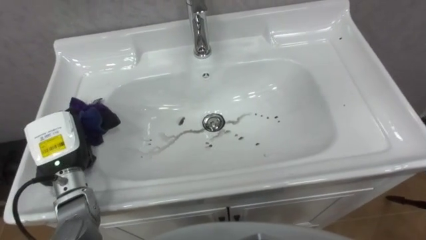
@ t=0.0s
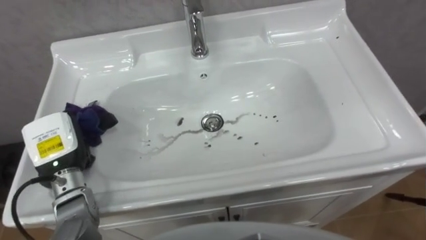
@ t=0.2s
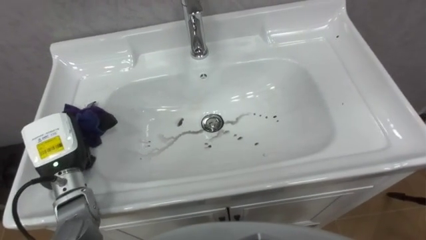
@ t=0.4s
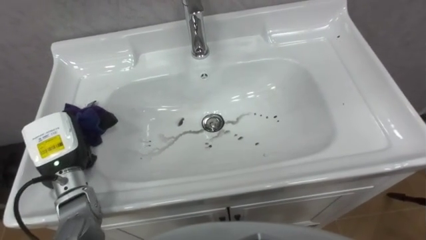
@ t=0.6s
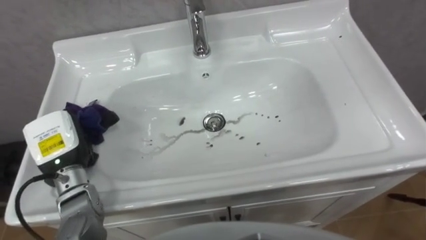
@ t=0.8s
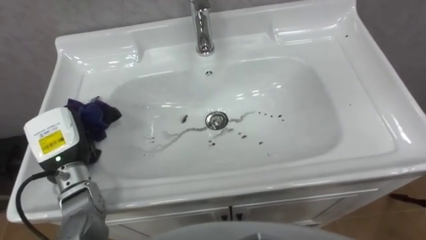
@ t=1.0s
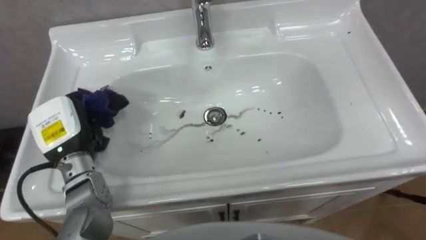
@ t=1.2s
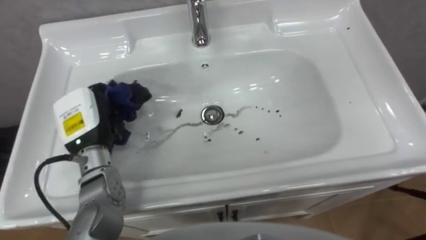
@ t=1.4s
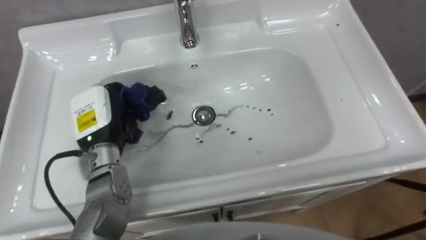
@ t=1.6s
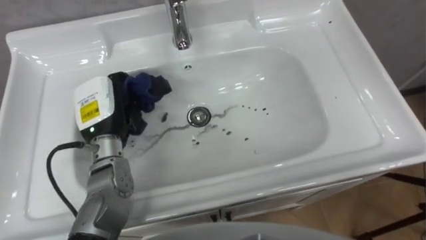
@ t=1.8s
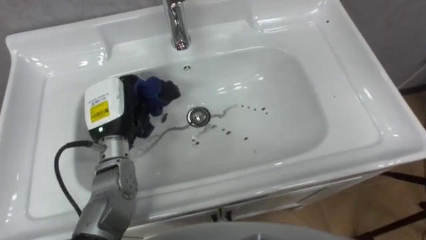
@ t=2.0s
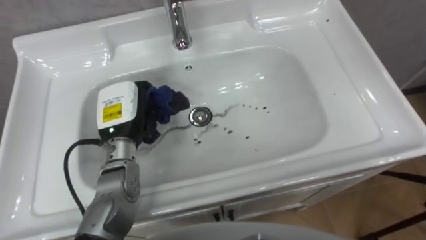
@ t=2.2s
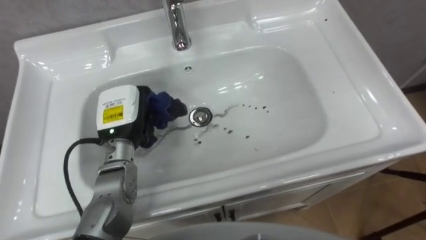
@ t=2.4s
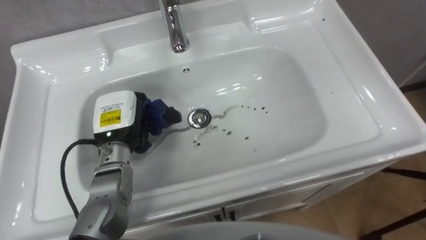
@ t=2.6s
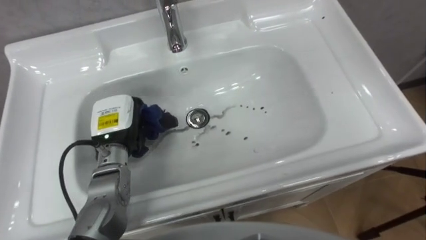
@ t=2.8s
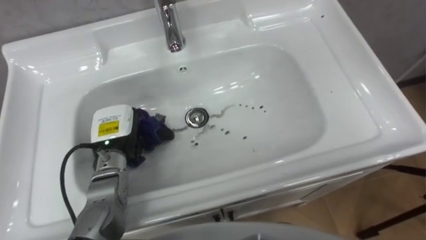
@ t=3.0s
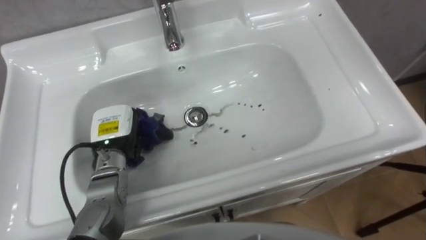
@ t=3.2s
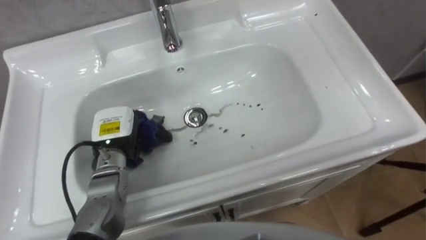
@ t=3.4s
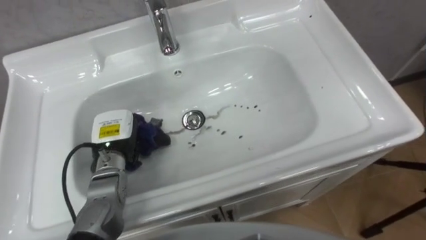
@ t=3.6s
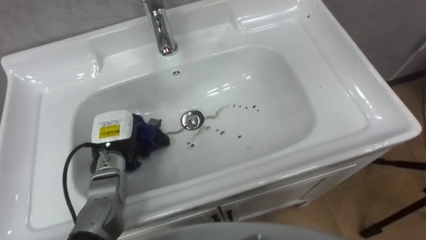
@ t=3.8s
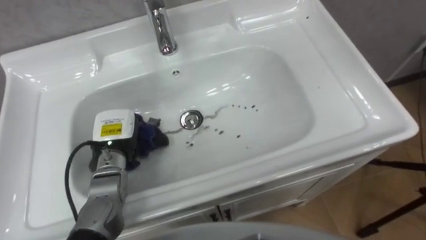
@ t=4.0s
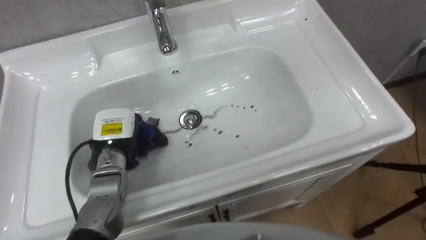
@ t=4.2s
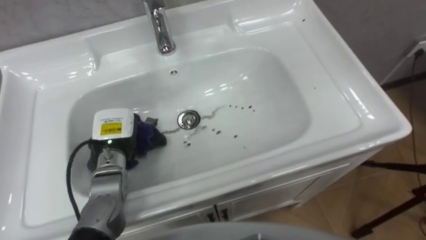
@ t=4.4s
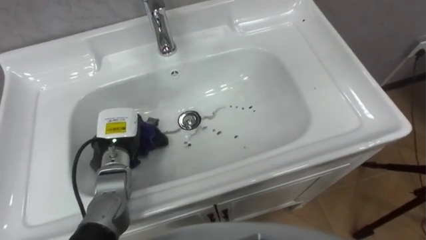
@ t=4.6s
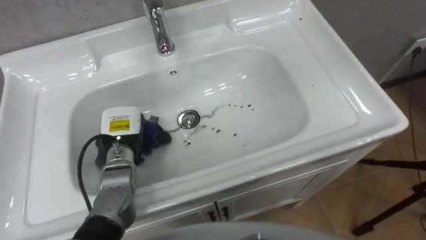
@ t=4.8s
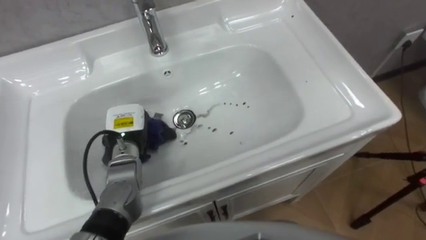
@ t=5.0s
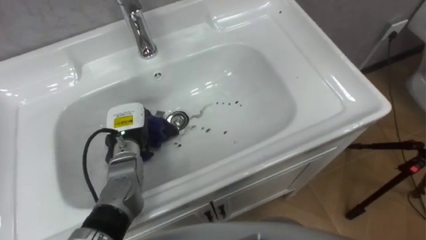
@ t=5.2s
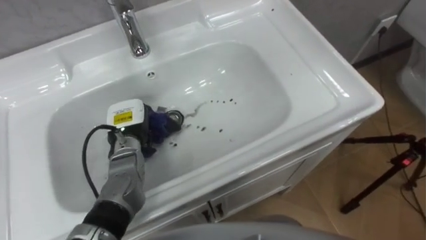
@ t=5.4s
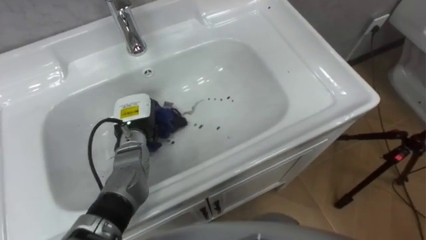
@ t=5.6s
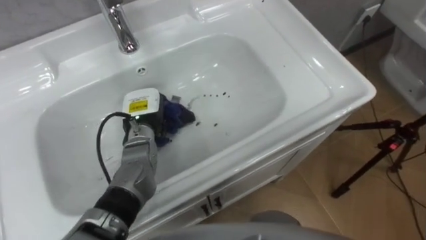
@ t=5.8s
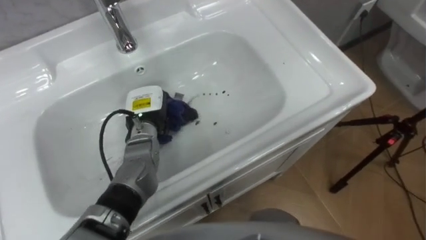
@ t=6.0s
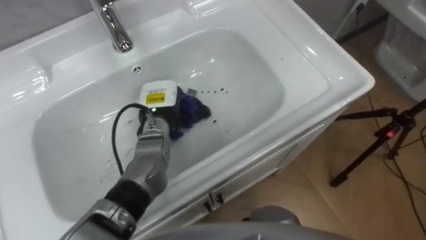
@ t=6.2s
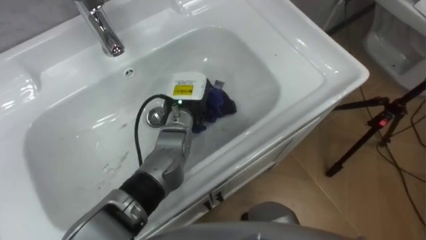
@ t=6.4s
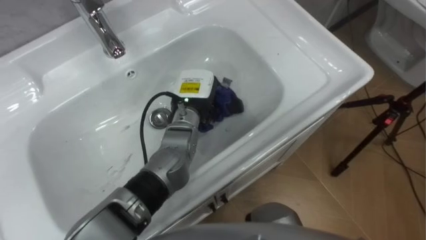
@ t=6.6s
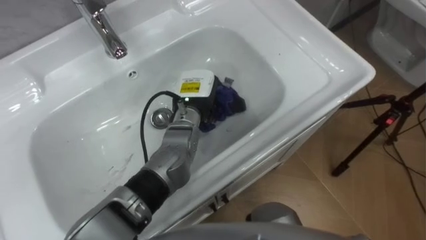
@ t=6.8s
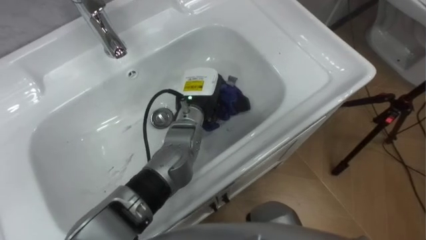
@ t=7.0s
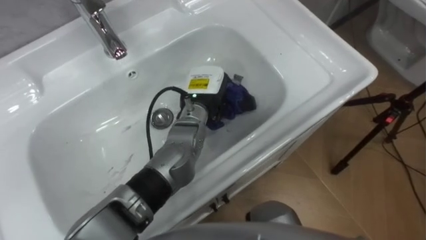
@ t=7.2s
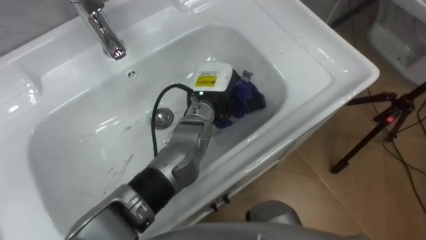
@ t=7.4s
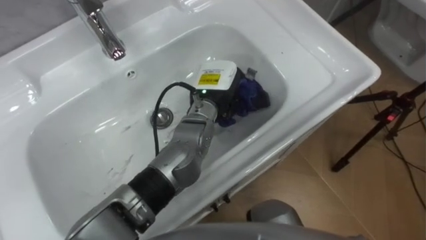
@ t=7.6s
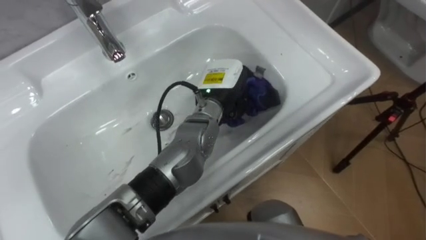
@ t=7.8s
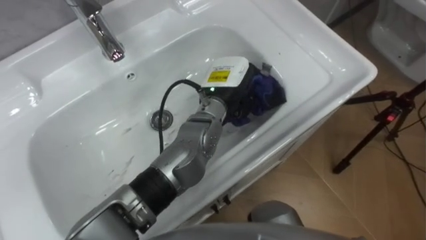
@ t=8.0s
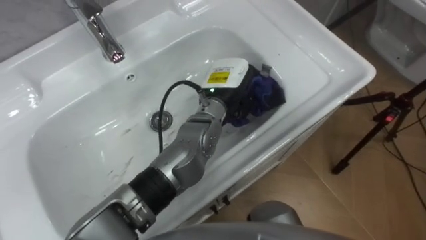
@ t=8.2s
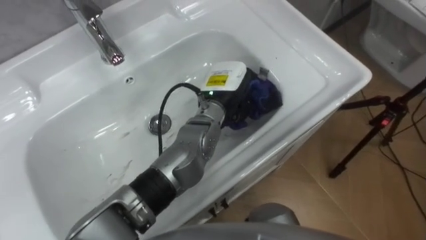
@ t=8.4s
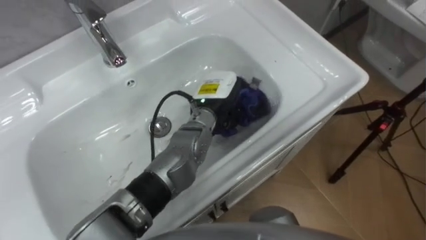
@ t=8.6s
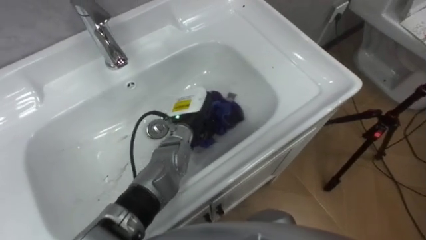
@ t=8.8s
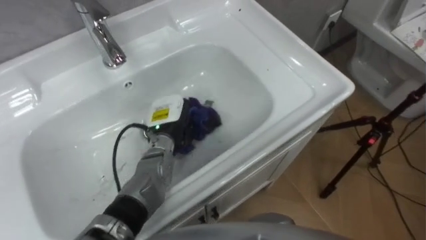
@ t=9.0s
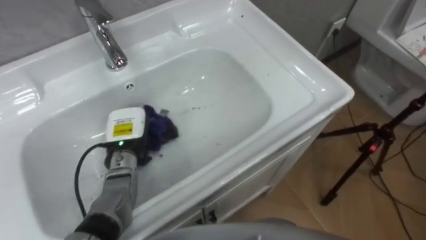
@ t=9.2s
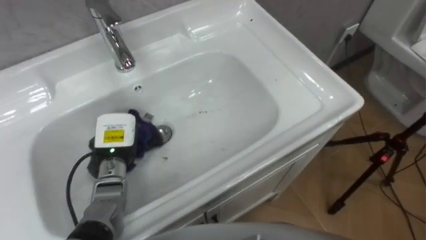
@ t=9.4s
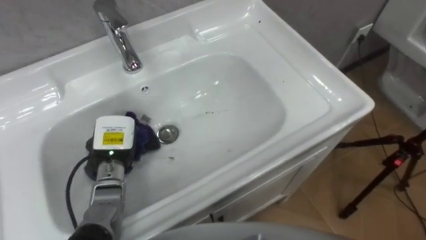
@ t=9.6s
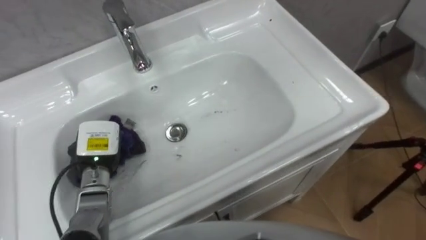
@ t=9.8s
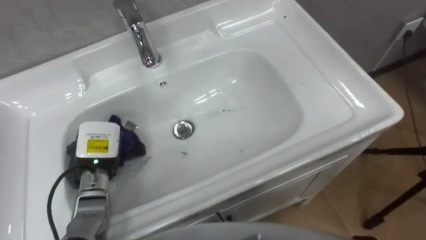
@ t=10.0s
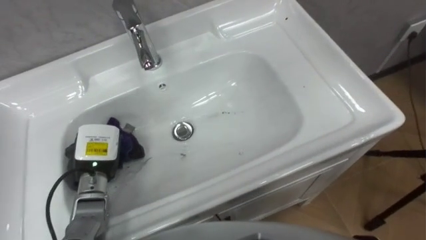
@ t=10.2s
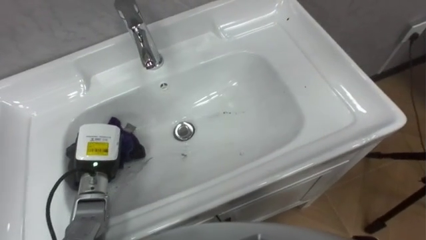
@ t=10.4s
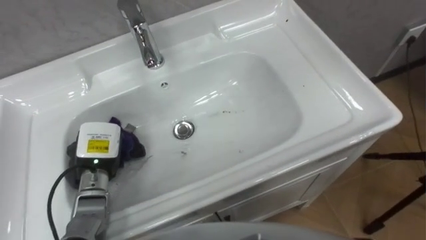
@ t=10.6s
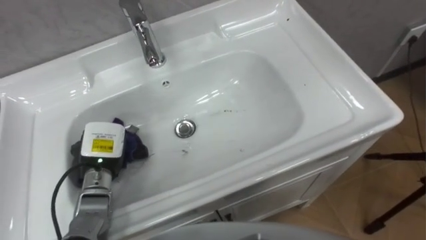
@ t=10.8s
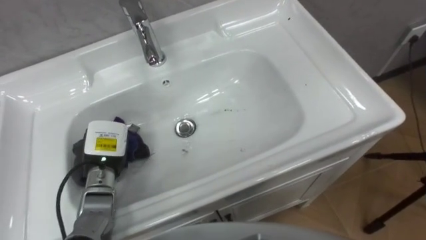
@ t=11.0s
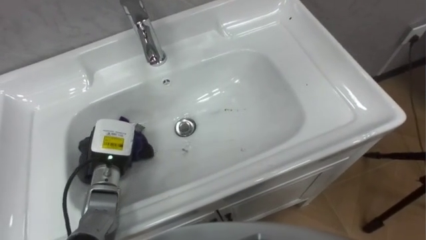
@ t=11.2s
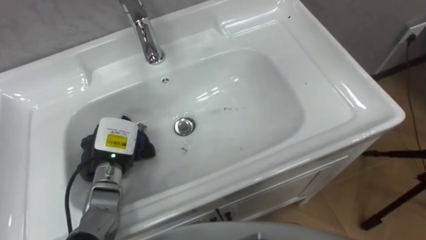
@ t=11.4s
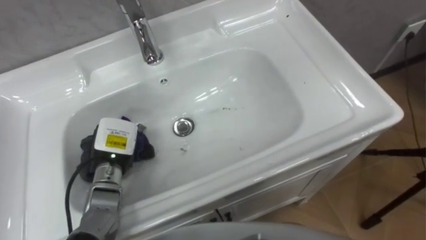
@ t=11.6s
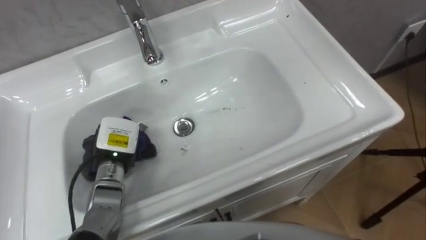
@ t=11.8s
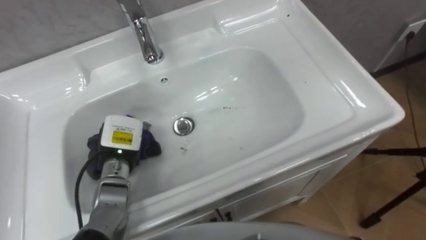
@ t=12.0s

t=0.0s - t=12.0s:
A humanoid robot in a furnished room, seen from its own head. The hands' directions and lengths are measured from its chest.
Task of the whole recording: Use the cloth on the right to wipe away the black stain in the sink.
t=0.0s - t=1.6s: The left hand shifts roughly 5 cm to the right.
t=1.6s - t=3.0s: The left hand is displaced downward by approximately 5 cm.
t=4.4s - t=6.0s: The left hand shifts some 10 cm to the right and forward.
t=6.0s - t=7.6s: The left hand shifts some 15 cm to the right and upward.
t=7.6s - t=9.0s: The left hand shifts roughly 15 cm to the left and downward.
t=9.0s - t=10.4s: The left hand shifts approximately 15 cm to the left and backward.
t=10.4s - t=12.0s: The left hand ends up approximately 5 cm from where it was.

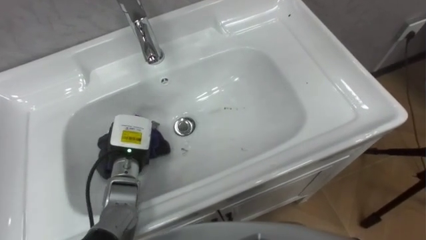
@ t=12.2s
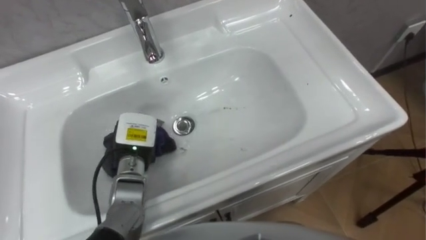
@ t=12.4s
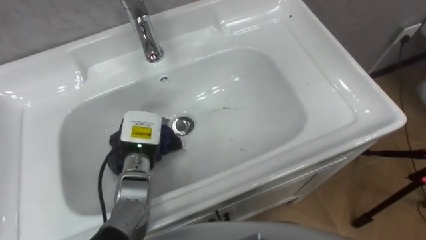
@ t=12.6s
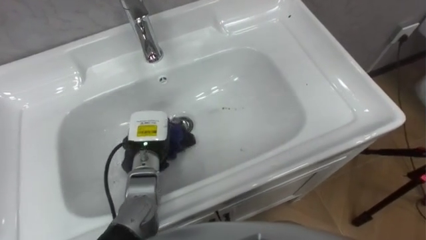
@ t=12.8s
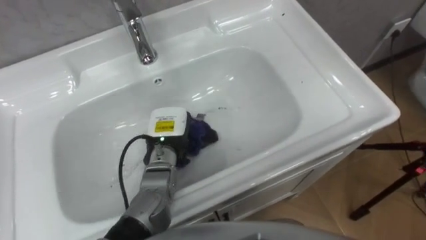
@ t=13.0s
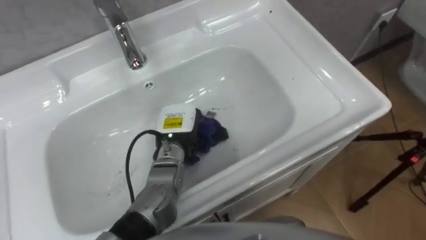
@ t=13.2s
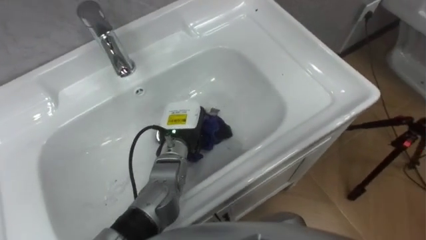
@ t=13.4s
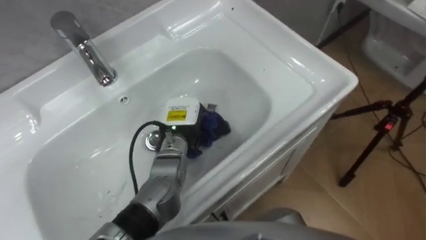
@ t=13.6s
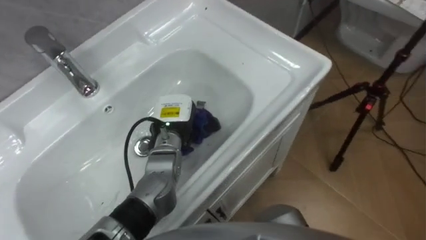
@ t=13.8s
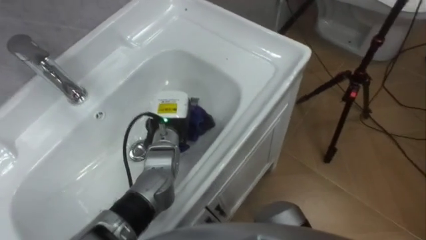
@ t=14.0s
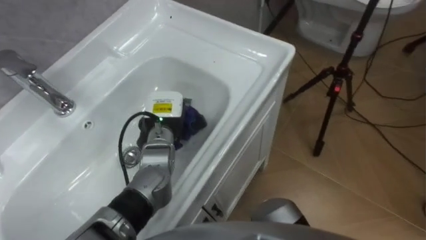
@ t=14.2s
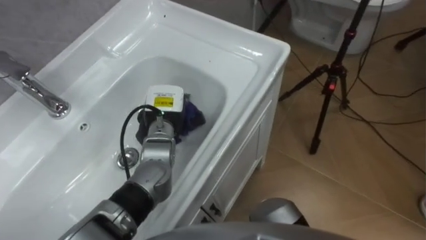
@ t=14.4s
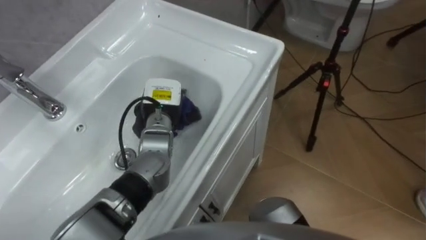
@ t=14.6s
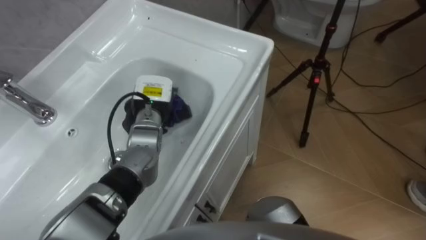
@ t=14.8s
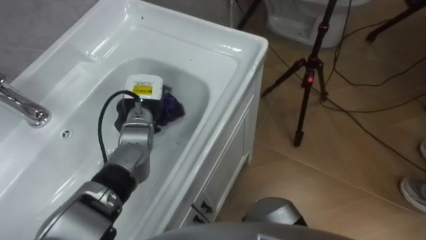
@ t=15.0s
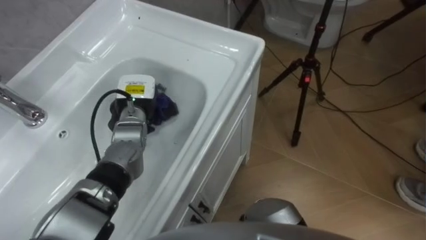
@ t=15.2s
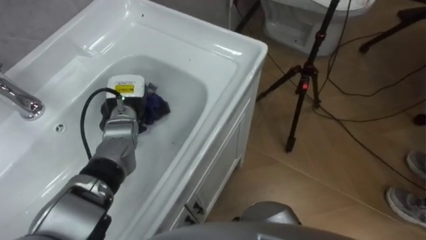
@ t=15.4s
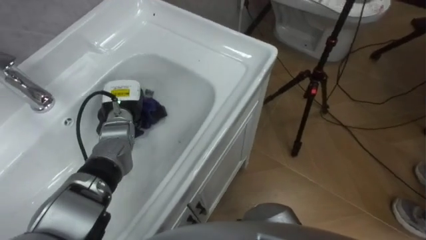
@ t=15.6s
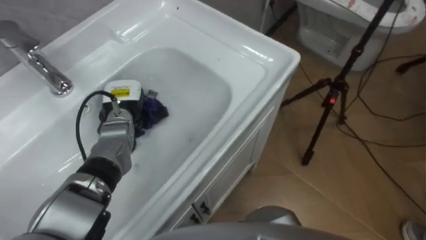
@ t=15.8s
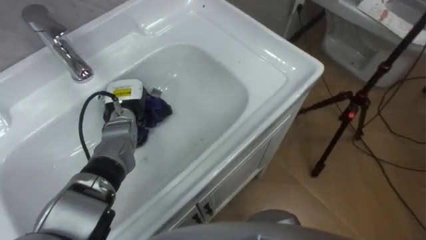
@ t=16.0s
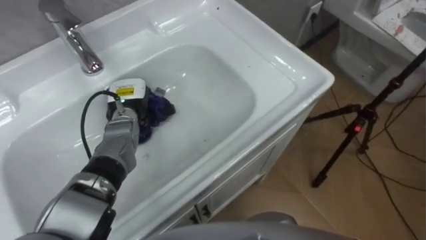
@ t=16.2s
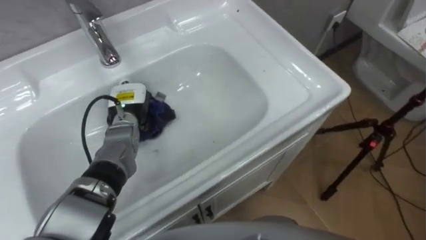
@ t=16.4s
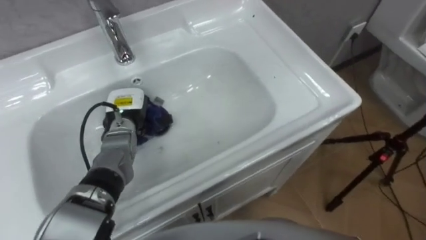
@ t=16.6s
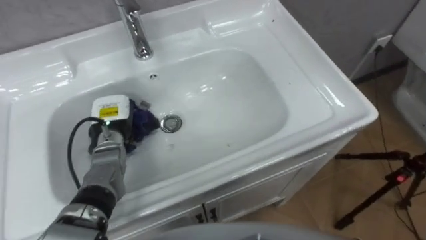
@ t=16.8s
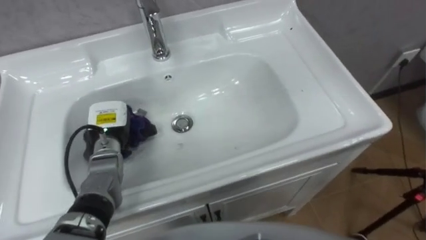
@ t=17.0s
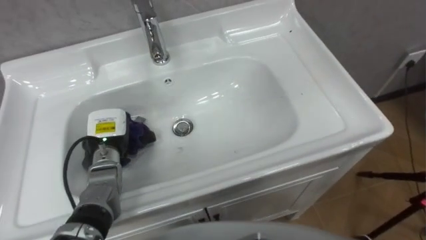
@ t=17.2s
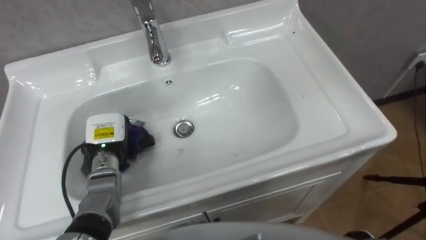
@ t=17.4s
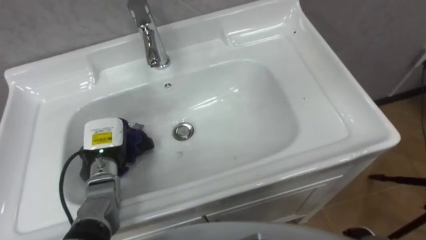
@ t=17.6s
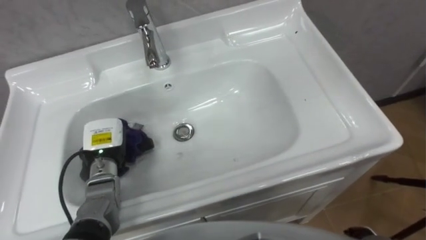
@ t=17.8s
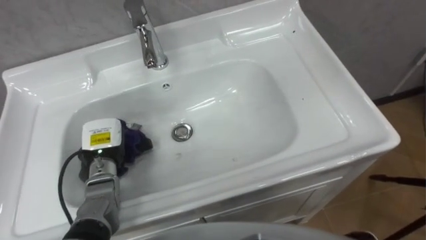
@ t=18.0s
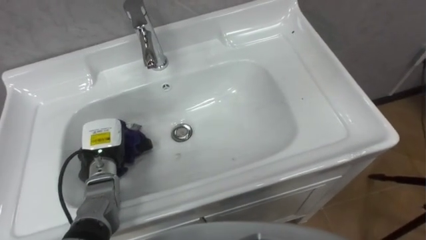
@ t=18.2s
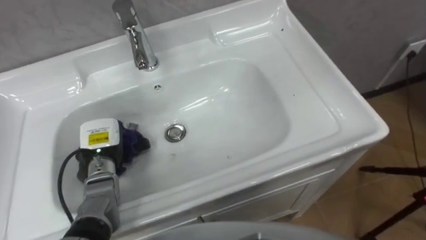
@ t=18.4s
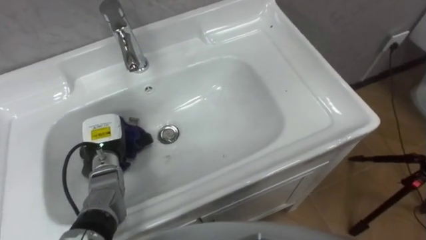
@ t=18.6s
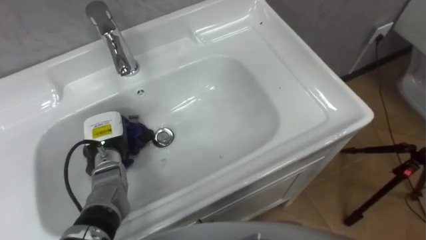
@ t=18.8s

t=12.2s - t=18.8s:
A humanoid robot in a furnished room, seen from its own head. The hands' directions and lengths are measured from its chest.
Task of the whole recording: Use the cloth on the right to wipe away the black stain in the sink.
t=12.2s - t=13.8s: The left hand travels to the right by some 10 cm.
t=13.8s - t=15.4s: The left hand goes roughly 10 cm to the left and forward.
t=15.4s - t=17.2s: The left hand heads backward, covering roughly 10 cm.
